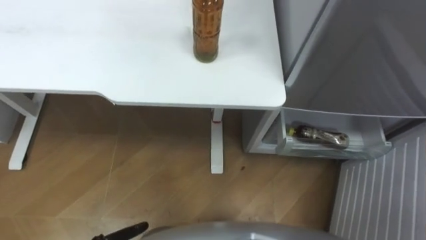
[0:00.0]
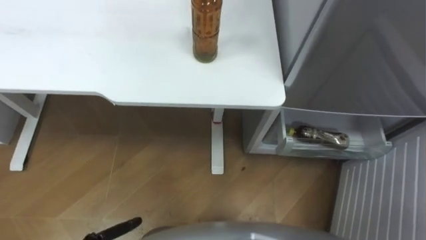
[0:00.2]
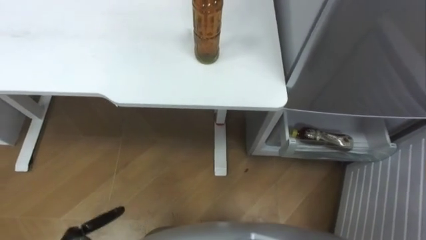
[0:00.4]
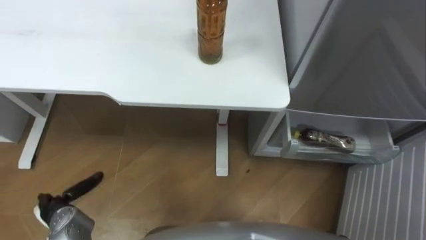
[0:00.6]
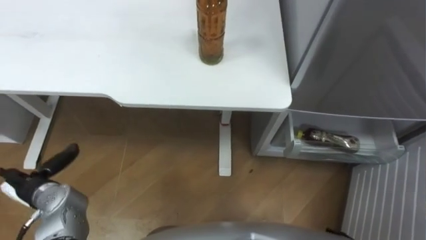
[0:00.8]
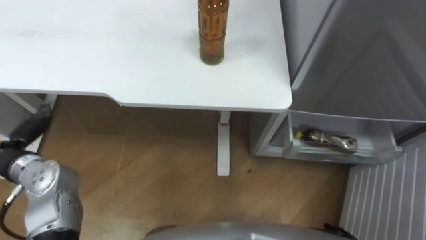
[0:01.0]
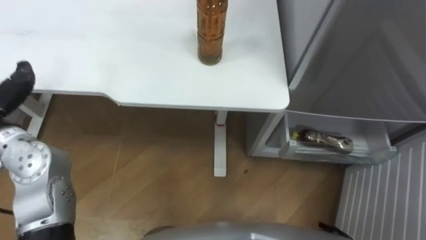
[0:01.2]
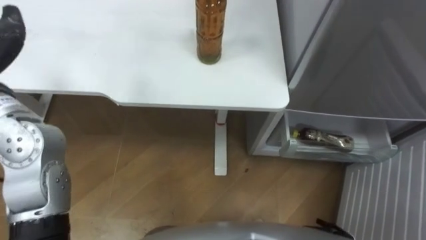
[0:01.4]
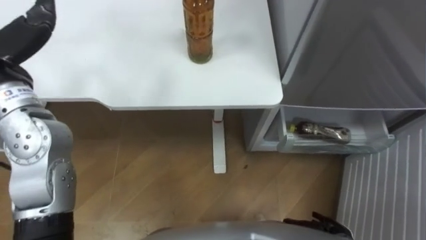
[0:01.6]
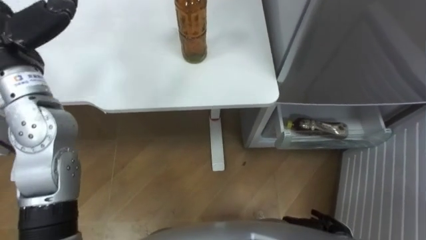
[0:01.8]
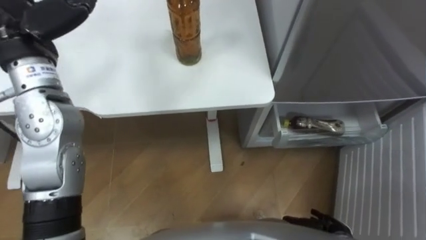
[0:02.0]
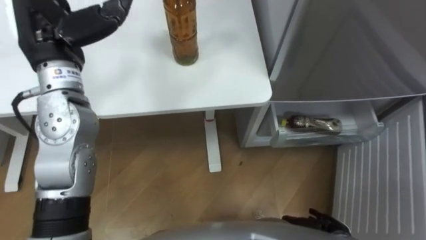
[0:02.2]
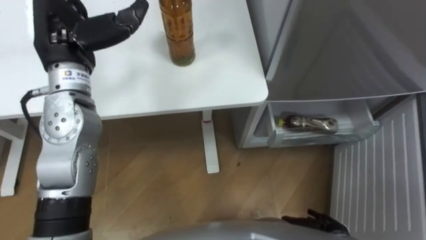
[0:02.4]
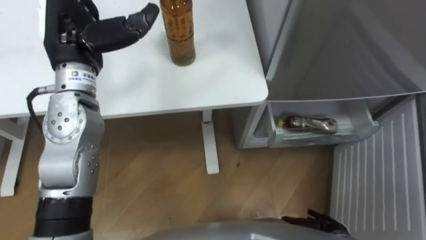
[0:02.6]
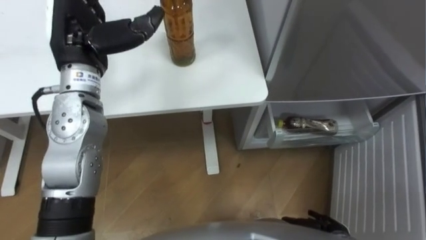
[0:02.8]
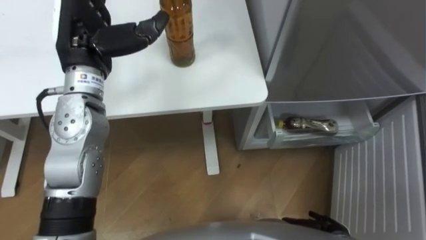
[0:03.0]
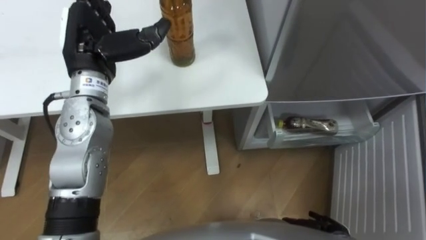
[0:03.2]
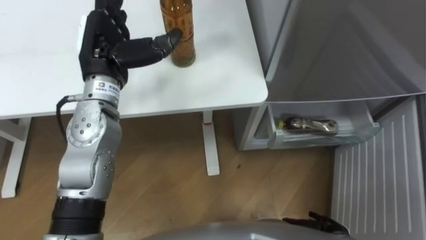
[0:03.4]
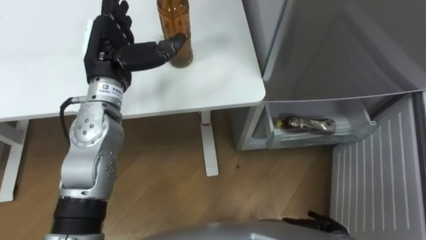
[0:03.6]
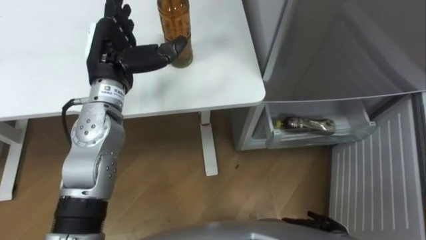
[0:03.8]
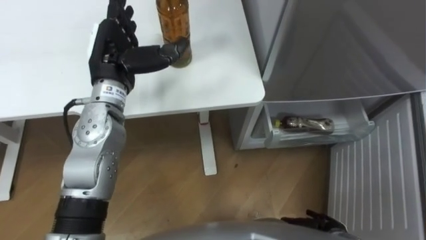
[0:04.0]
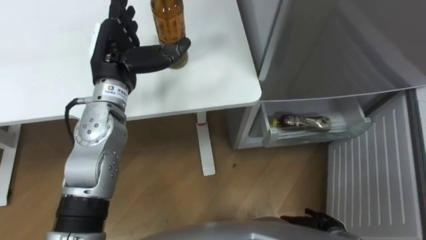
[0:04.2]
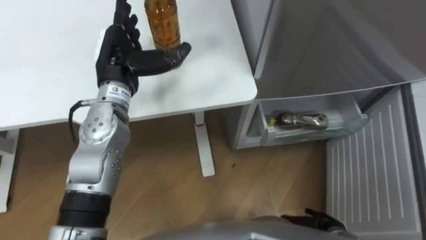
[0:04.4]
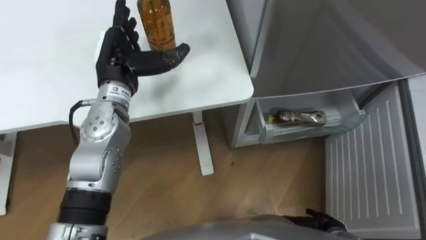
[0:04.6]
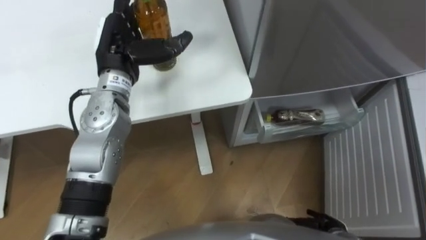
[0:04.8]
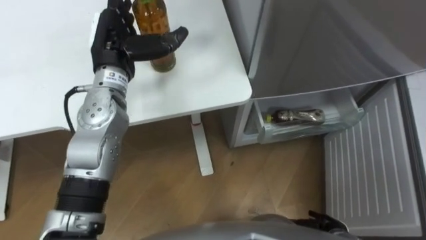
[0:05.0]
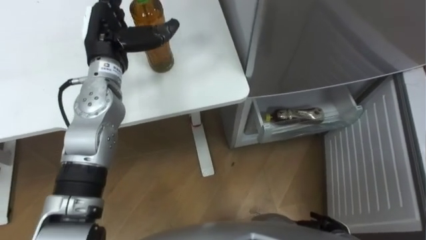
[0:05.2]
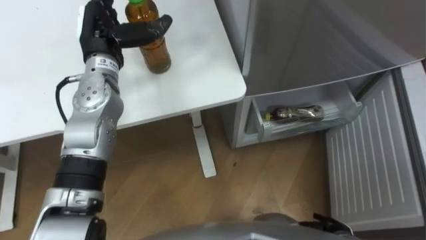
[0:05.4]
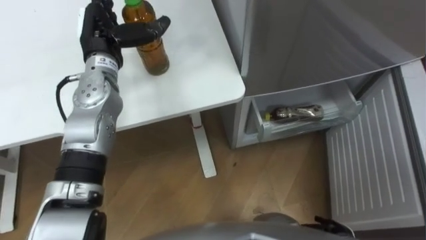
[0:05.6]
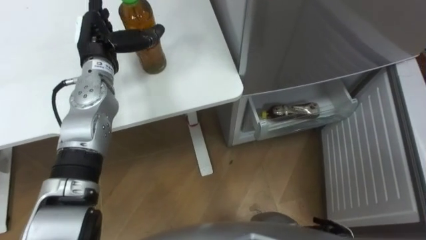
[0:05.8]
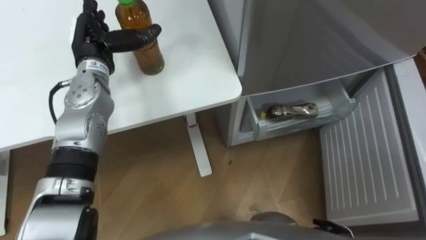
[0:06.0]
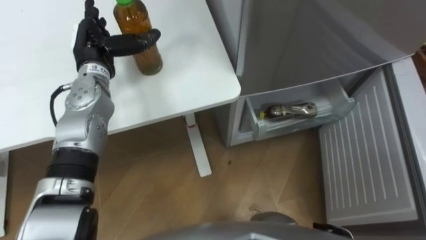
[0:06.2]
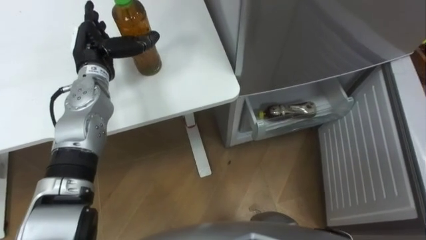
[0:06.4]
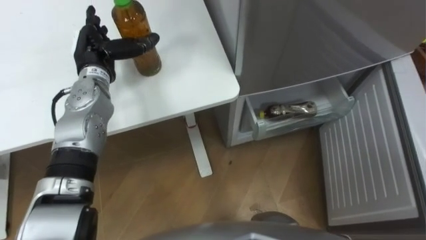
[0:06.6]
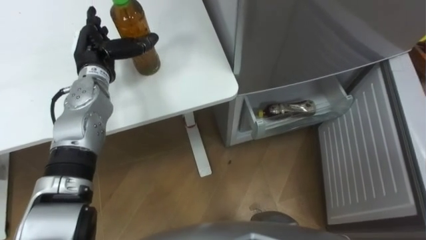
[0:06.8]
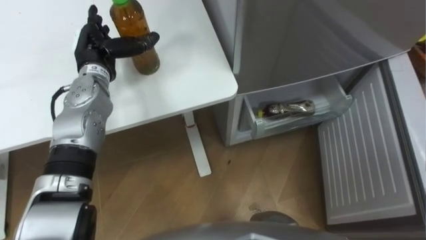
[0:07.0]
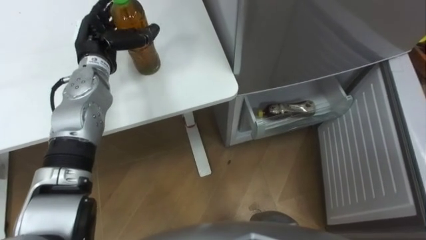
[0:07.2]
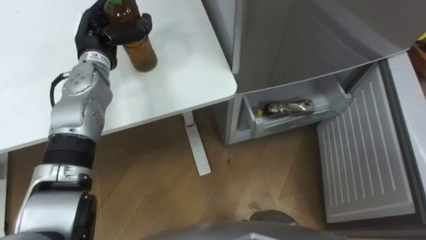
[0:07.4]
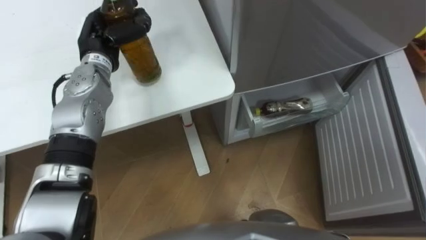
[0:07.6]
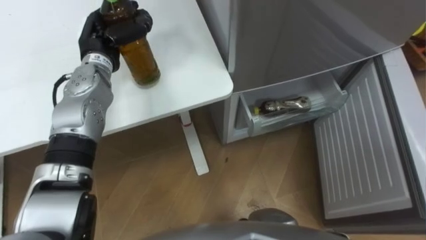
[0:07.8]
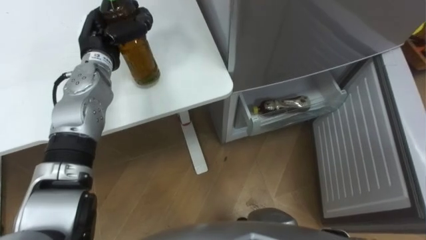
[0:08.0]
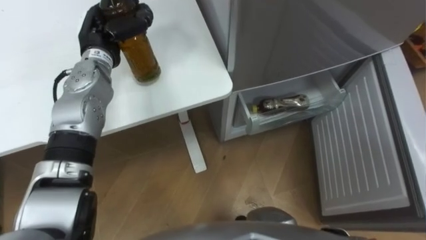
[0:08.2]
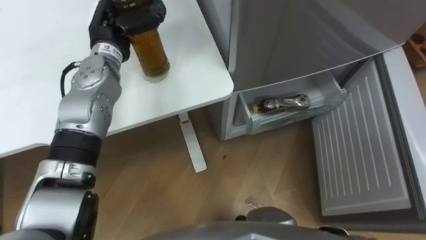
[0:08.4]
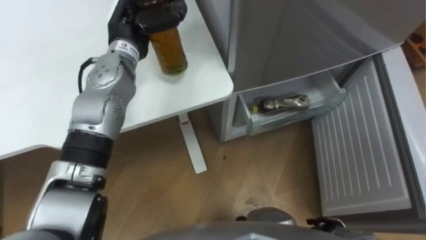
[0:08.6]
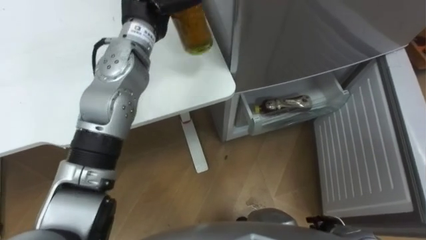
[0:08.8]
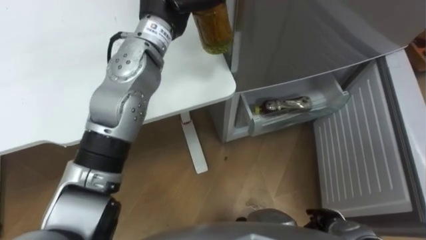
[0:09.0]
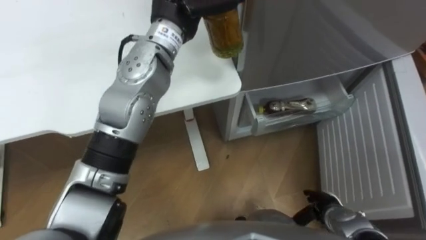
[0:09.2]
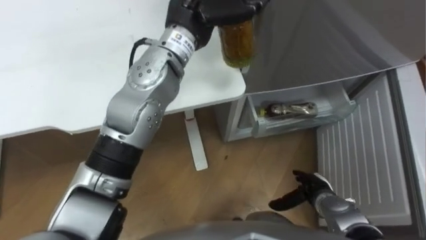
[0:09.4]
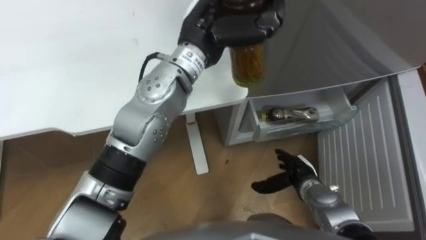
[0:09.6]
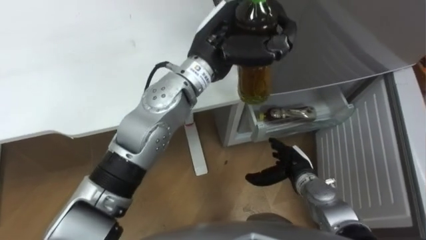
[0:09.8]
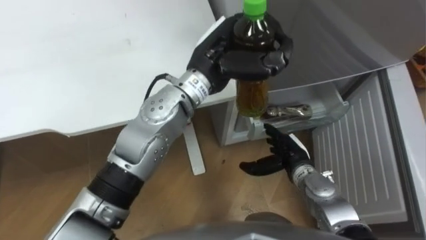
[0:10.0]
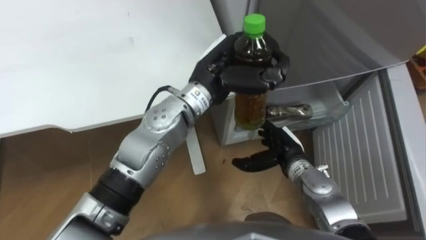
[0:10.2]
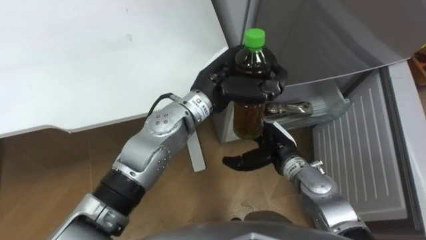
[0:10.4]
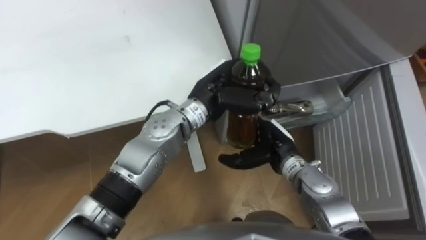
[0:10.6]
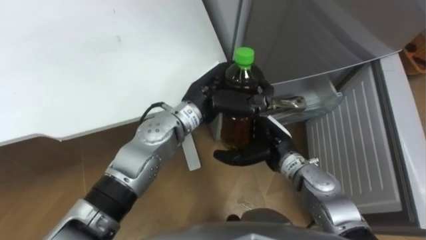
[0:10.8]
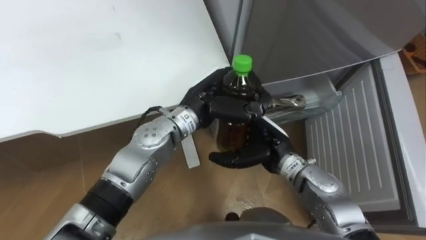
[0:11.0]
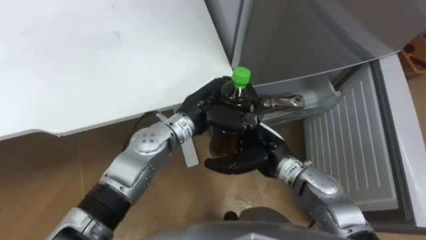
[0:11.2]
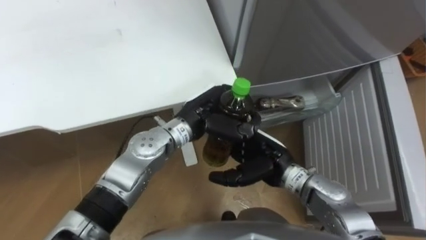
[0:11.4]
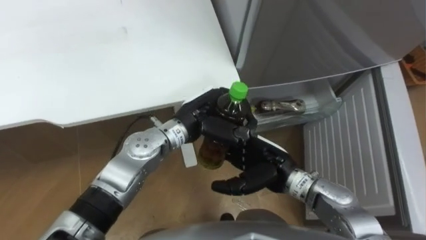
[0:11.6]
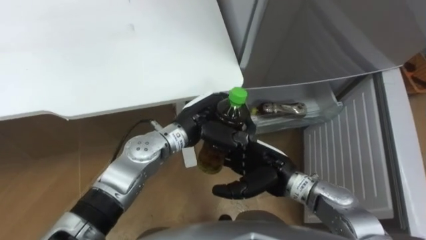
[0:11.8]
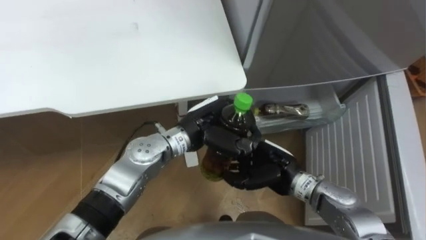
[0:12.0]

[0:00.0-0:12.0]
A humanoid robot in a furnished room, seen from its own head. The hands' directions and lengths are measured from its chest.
Task of the whole recording: Place the drink on the table on the bottom shelf of the refrigerator, then close the drawer and the refrigerator door.
0:03.0 to 0:04.4: The left hand goes about 5 cm downward.
0:04.4 to 0:06.0: The left hand goes about 5 cm to the left.
0:06.0 to 0:07.6: The left hand closes its fingers.
0:09.0 to 0:10.4: The right hand heads forward, upward and to the left, covering about 25 cm.
0:10.4 to 0:12.0: The left hand moves downward, about 10 cm.

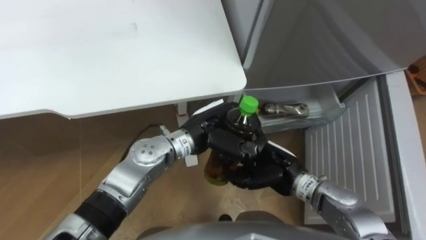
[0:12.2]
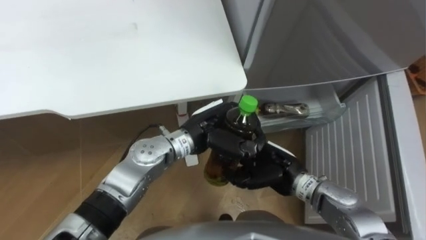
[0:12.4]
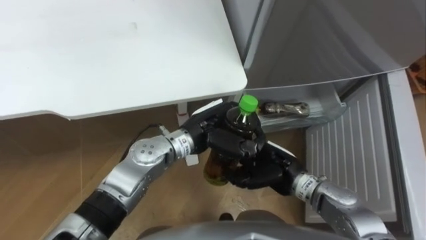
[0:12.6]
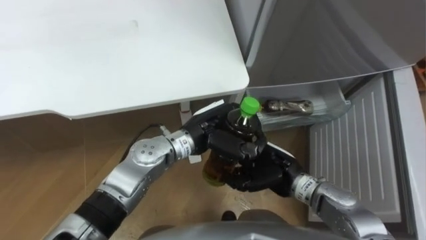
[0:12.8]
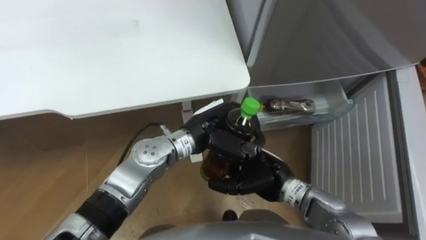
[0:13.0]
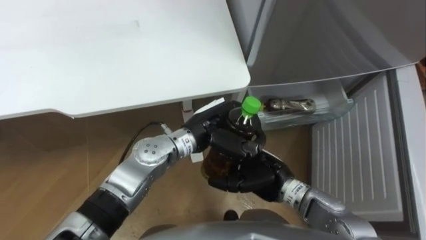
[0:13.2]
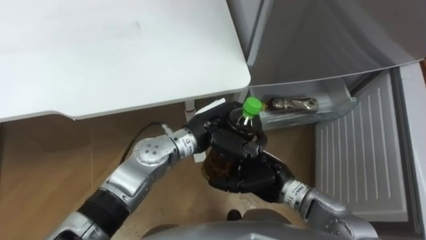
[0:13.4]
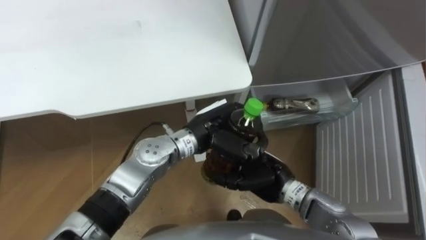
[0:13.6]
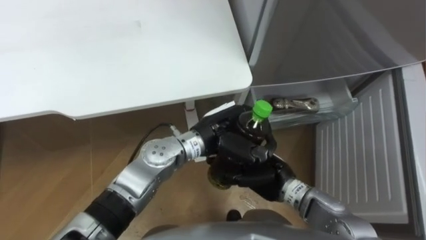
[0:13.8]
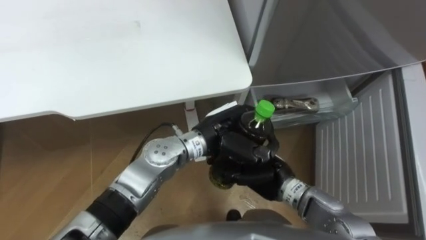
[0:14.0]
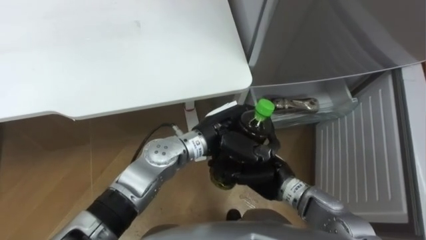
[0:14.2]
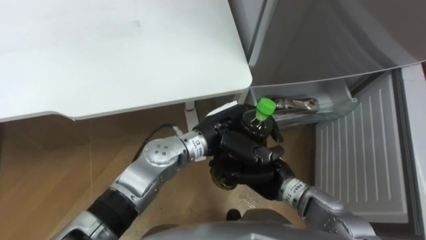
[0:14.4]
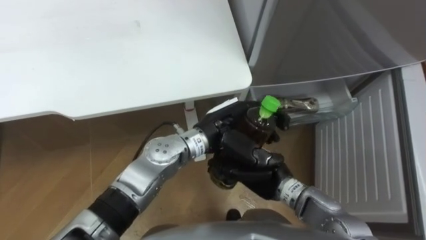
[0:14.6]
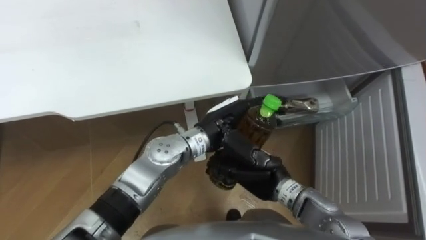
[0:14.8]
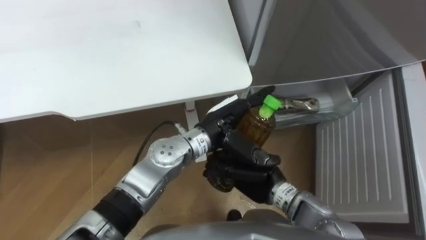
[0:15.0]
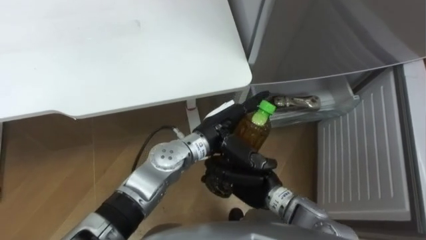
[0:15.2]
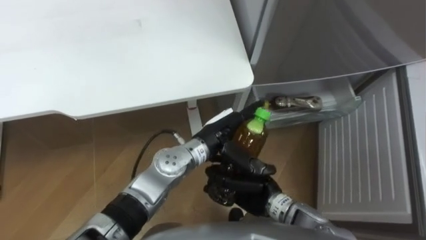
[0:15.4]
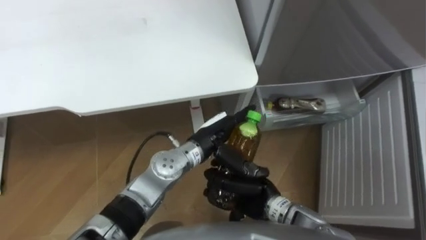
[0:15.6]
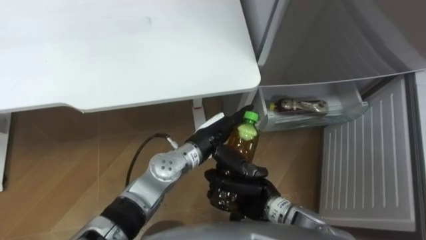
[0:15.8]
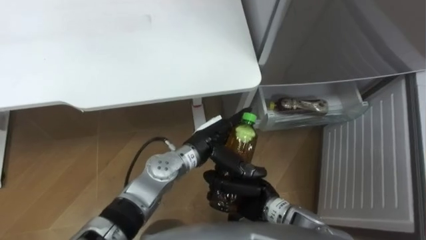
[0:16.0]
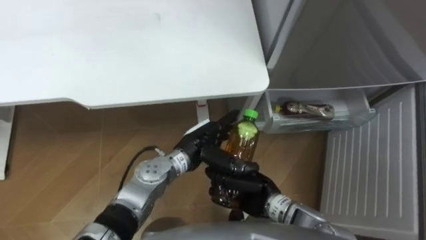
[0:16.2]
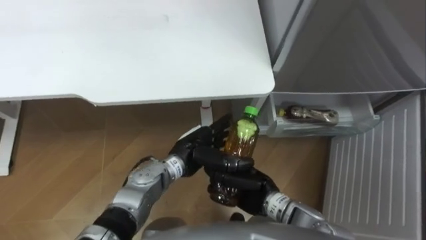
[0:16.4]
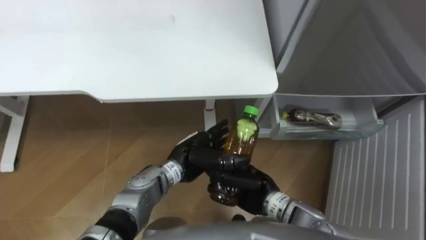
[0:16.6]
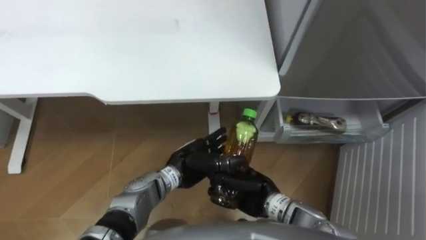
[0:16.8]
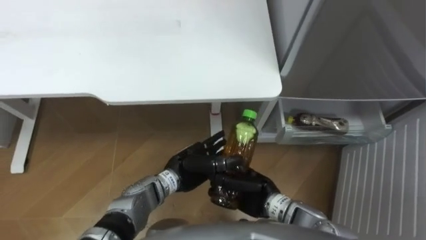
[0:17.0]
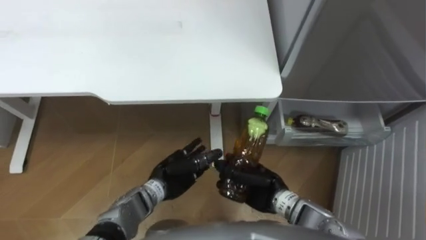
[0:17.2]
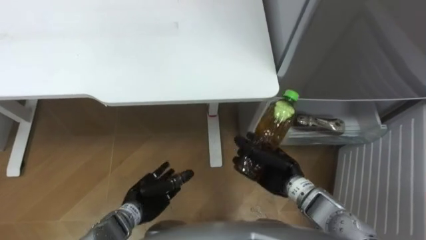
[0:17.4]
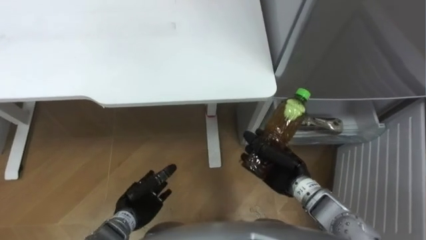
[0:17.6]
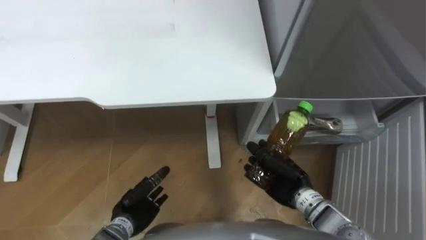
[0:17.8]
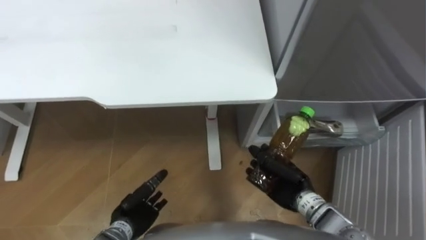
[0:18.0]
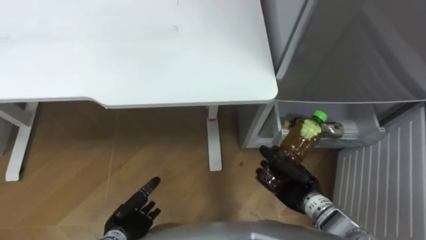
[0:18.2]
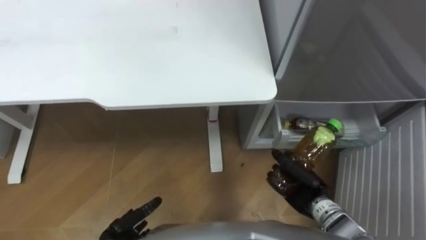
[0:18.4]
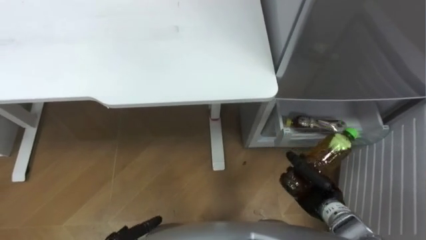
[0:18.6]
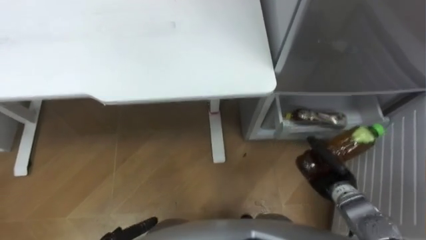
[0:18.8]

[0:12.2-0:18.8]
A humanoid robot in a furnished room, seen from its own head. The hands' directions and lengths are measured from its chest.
Task of the whole recording: Place the drink on the table on the bottom shelf of the refrigerator, then close the drawer and the refrigerator door.
0:12.2 to 0:13.8: The right hand opens, then closes again.
0:13.8 to 0:15.4: The left hand opens its fingers.
0:15.4 to 0:17.2: The left hand shifts roughly 15 cm to the left, downward and backward.
0:17.2 to 0:18.8: The right hand travels to the right by some 15 cm.
